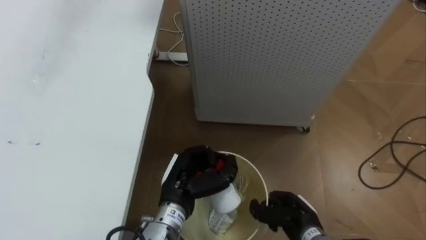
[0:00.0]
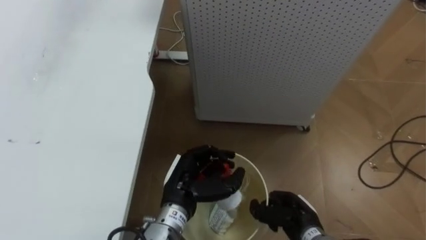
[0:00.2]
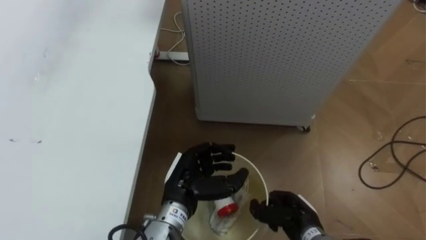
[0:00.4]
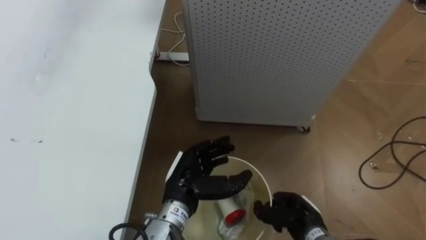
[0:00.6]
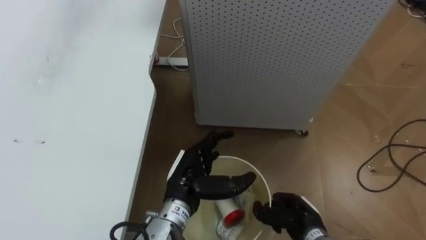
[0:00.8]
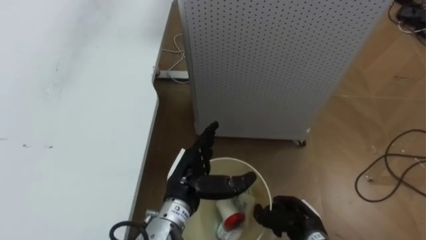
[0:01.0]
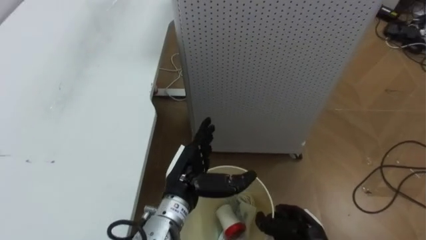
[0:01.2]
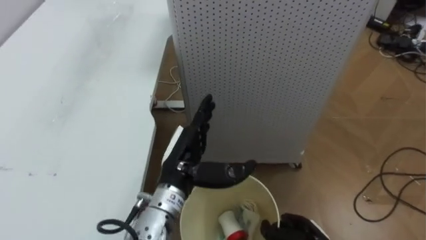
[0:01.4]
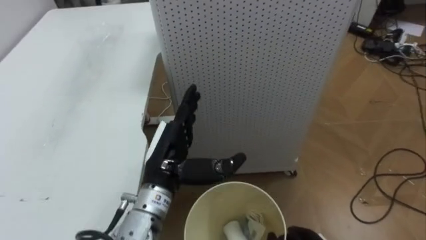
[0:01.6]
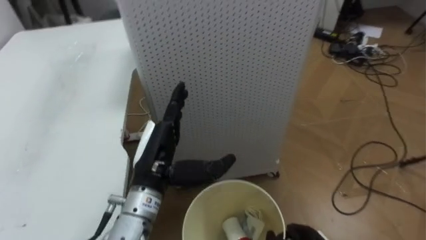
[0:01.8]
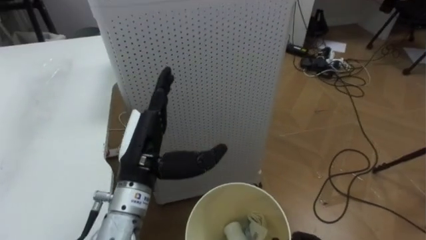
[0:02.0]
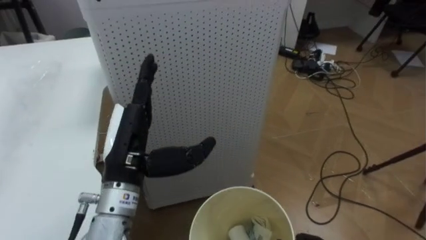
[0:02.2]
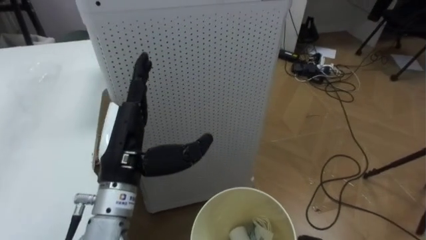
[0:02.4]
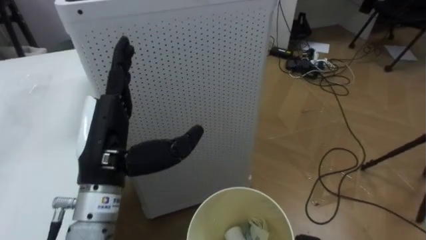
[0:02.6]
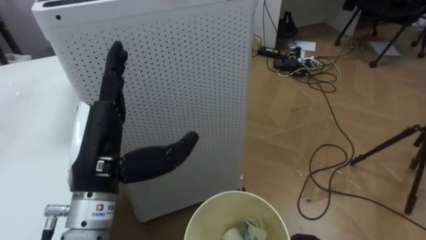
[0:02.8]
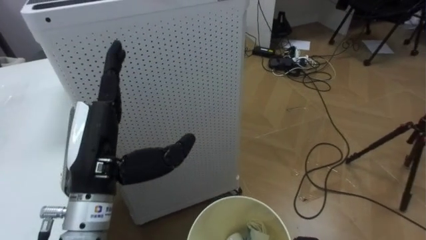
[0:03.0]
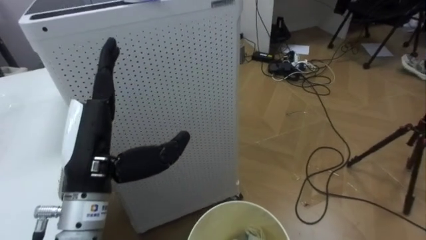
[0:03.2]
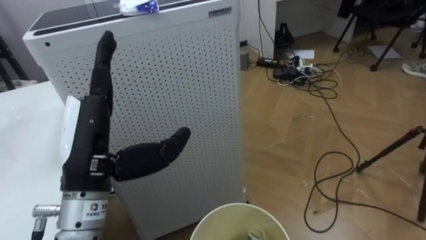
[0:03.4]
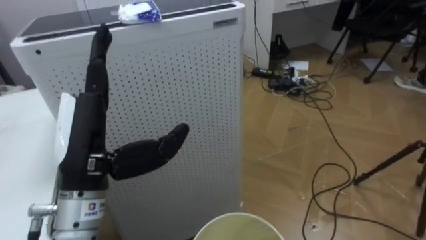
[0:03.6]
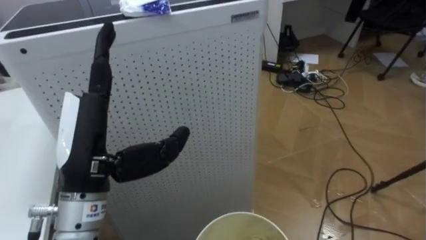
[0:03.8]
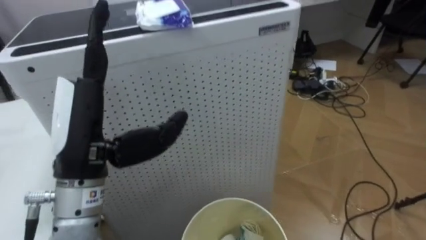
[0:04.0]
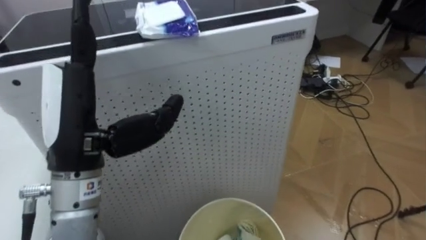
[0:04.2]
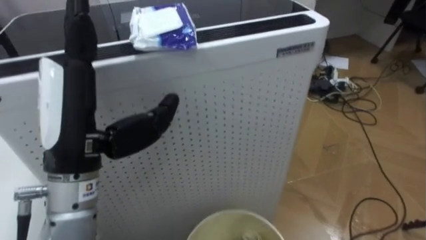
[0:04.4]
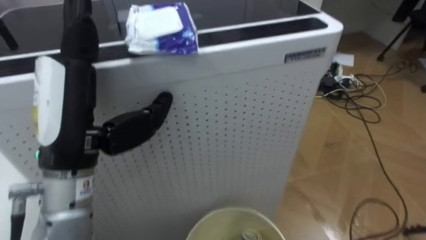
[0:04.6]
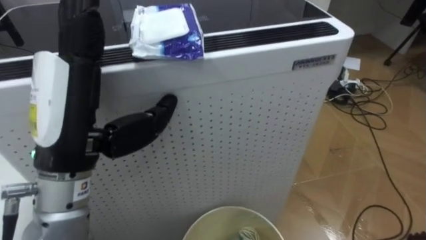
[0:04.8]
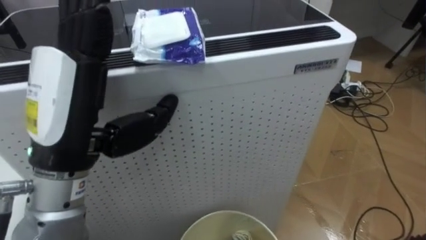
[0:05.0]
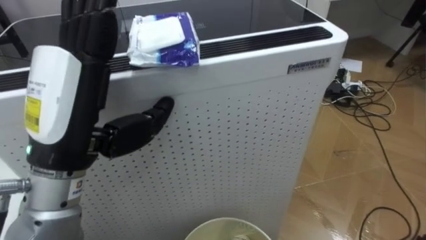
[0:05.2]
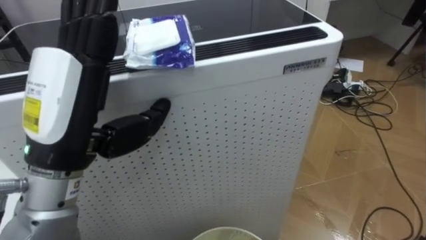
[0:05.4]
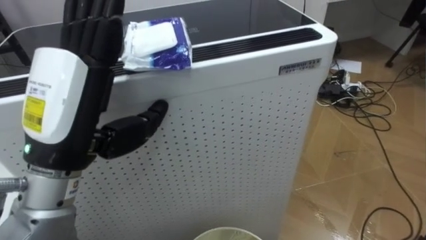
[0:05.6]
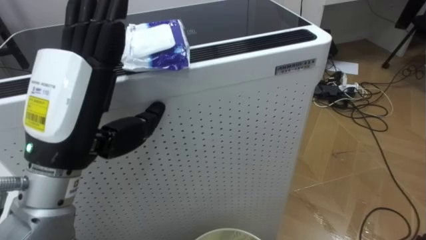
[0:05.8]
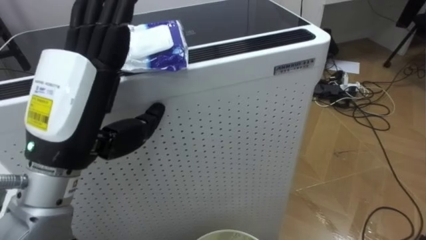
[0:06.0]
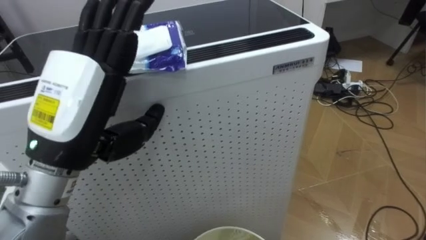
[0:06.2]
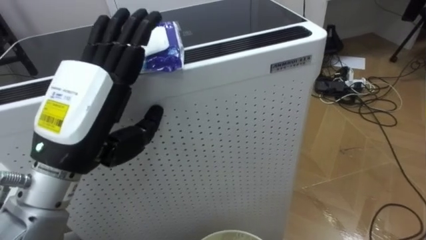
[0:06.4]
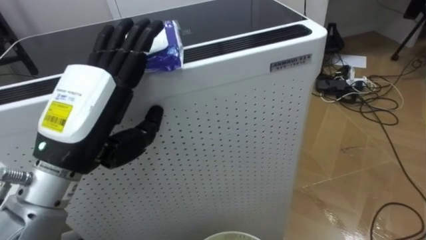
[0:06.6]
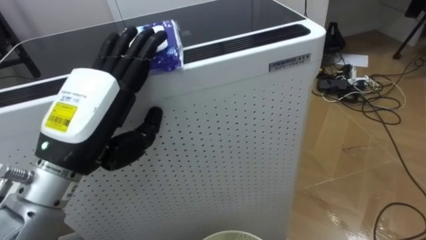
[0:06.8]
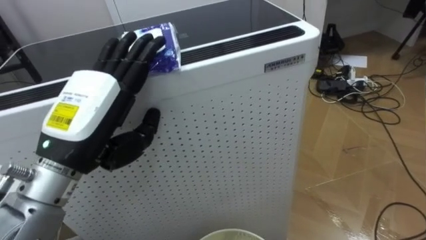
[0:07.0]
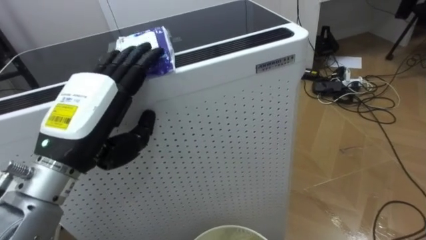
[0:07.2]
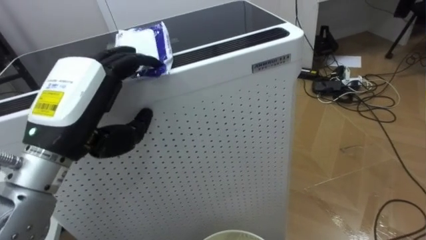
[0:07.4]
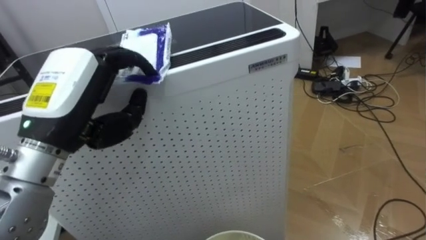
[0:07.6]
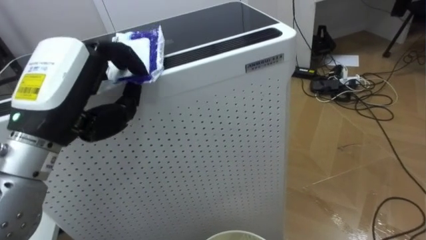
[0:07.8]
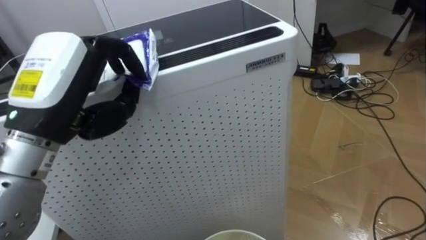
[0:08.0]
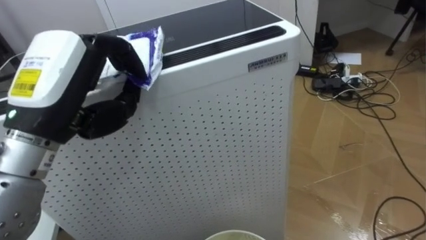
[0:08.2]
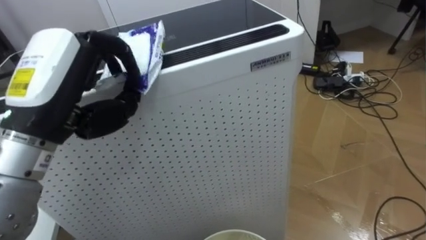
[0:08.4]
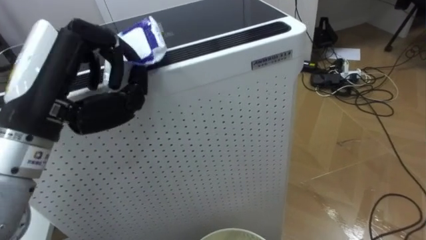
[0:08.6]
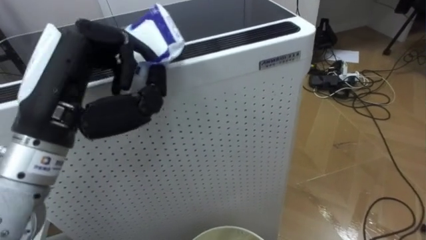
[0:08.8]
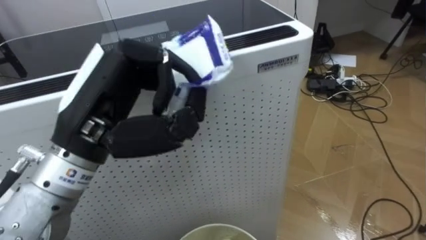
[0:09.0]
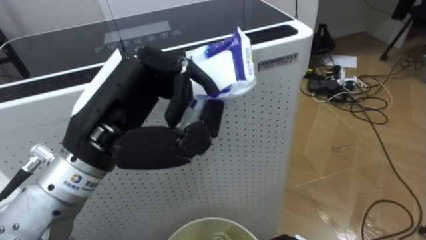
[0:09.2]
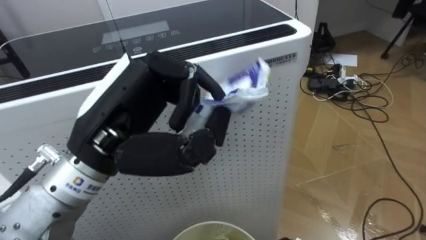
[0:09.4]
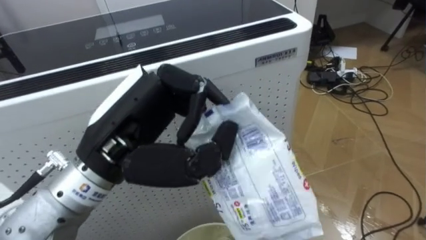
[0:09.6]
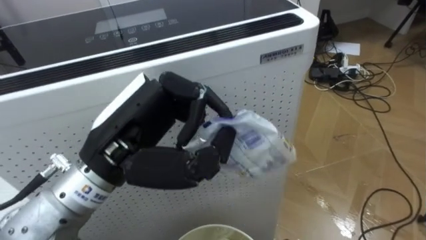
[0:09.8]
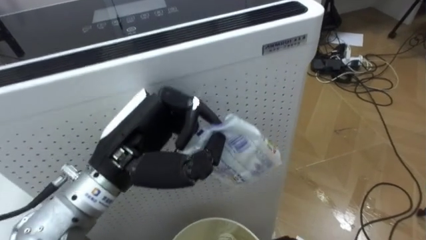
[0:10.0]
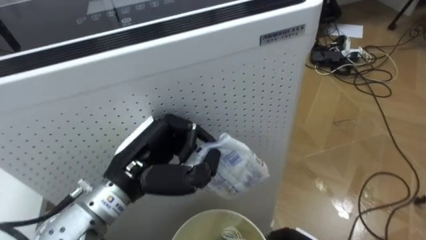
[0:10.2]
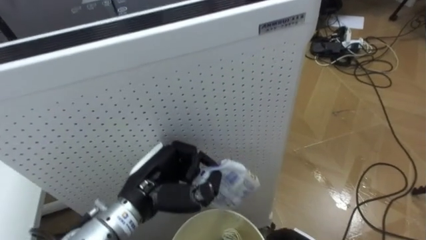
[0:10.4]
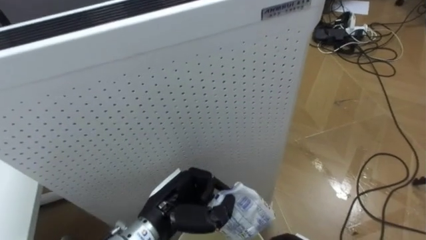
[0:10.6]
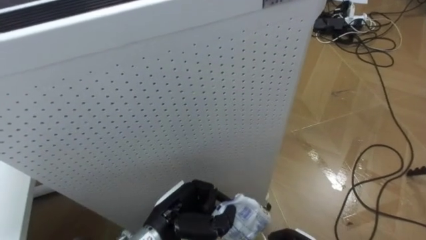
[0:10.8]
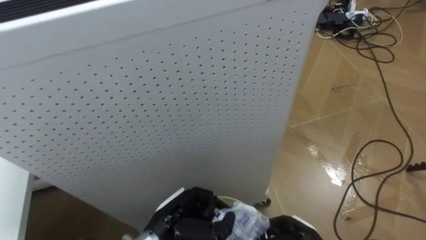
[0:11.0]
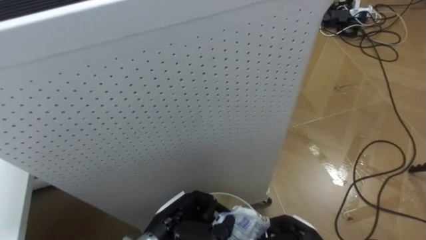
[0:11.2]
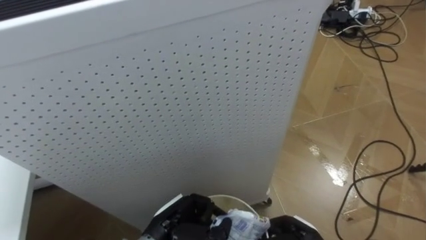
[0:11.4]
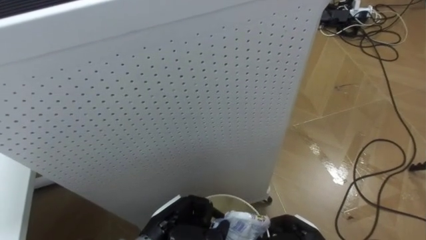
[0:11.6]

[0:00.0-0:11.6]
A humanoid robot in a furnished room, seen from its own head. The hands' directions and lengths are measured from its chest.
Task of the whole recording: Pick up the light blue package, the candy box, and the dark blue package separately, and put them into the trash can held in your right hand.
0:00.0 to 0:01.4: The left hand shifts about 5 cm upward, and opens up.
0:01.4 to 0:02.8: The robot's body swings about 25 degrees to its right. The left hand shifts approximately 15 cm to the left, upward and backward.
0:02.8 to 0:04.4: The left hand is displaced upward by some 5 cm.
0:05.8 to 0:07.2: The left hand shifts by some 5 cm.
0:07.2 to 0:08.8: The left hand heads upward, covering about 5 cm, and closes its fingers.
0:08.8 to 0:10.2: The left hand goes approximately 15 cm downward and to the right.
0:10.2 to 0:11.6: The left hand heads downward, covering approximately 20 cm.

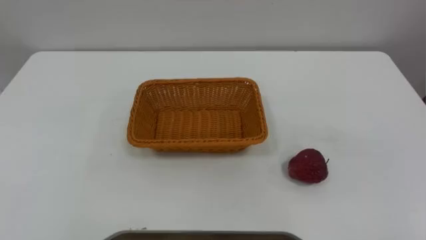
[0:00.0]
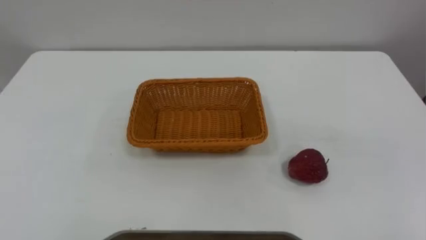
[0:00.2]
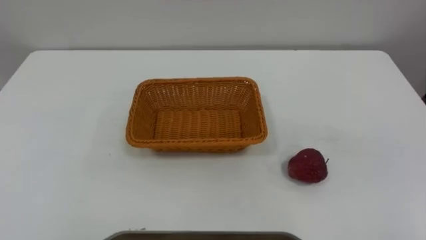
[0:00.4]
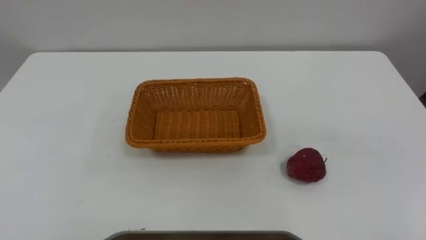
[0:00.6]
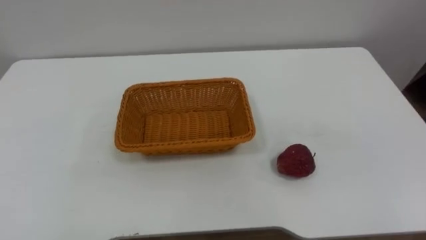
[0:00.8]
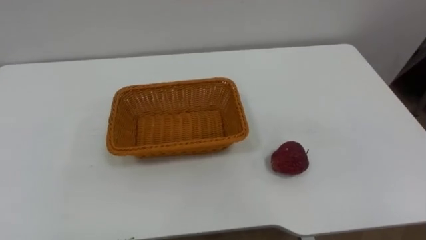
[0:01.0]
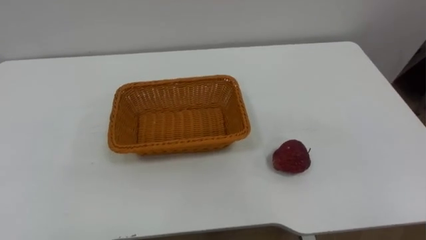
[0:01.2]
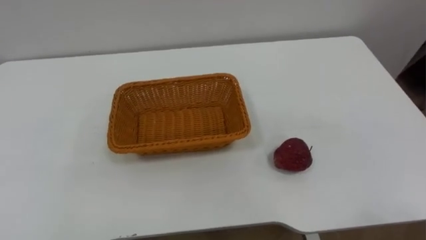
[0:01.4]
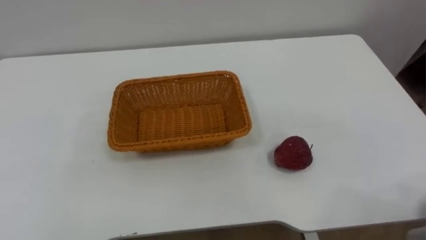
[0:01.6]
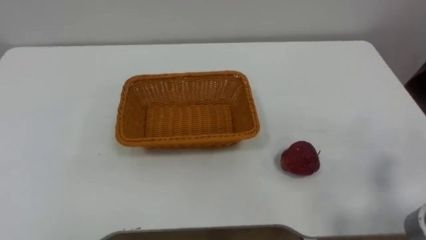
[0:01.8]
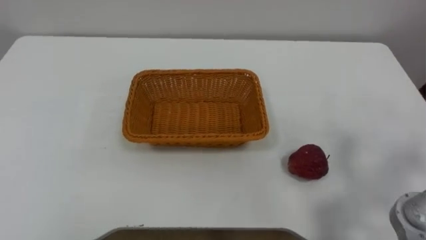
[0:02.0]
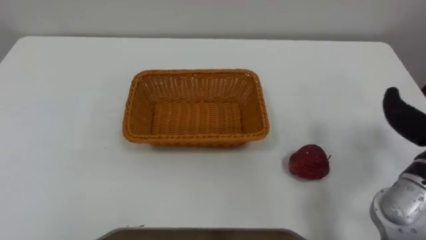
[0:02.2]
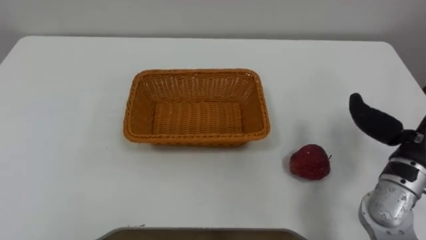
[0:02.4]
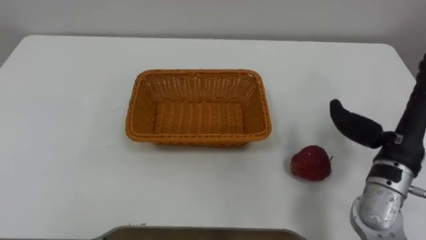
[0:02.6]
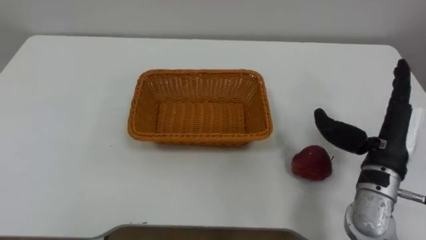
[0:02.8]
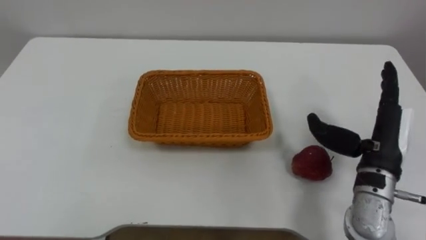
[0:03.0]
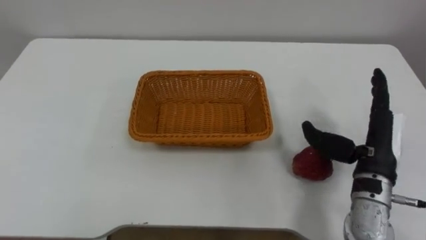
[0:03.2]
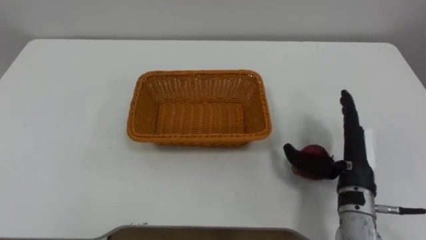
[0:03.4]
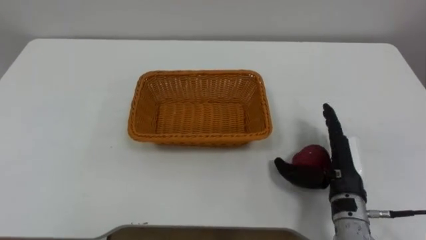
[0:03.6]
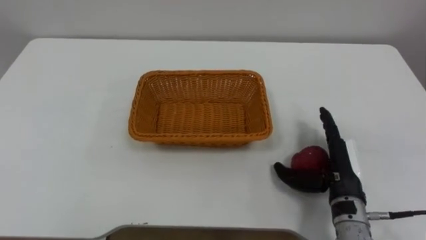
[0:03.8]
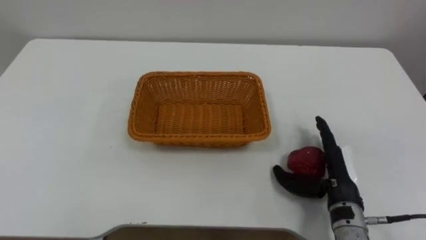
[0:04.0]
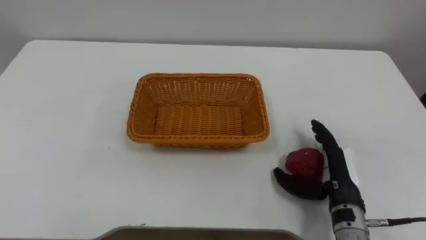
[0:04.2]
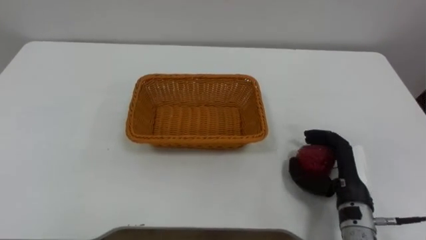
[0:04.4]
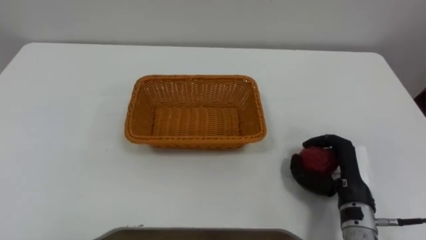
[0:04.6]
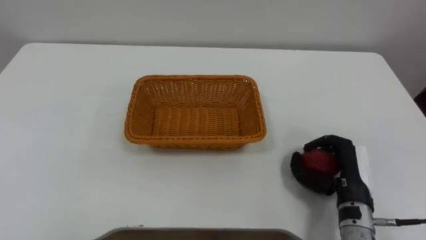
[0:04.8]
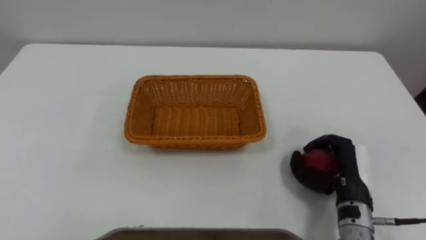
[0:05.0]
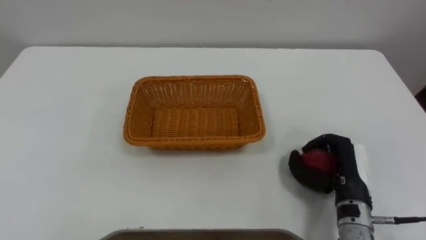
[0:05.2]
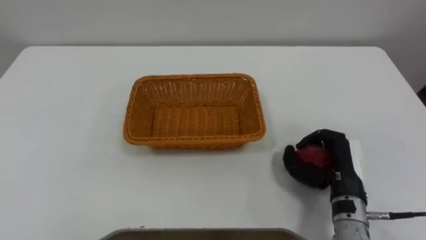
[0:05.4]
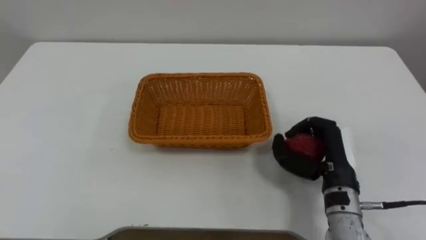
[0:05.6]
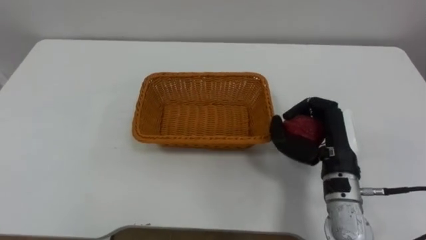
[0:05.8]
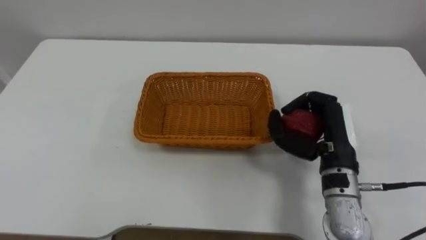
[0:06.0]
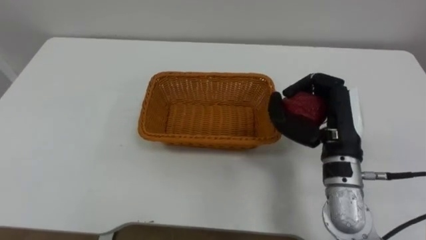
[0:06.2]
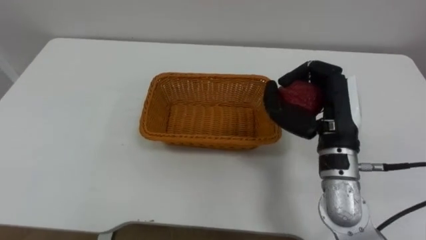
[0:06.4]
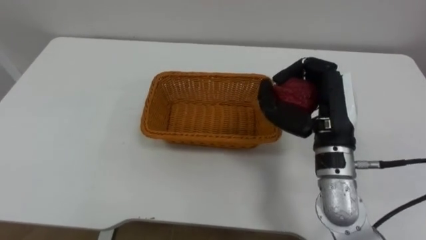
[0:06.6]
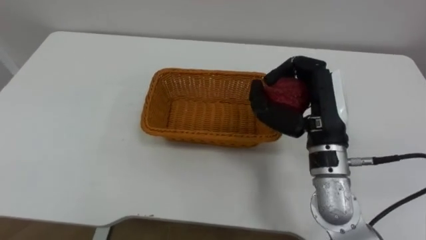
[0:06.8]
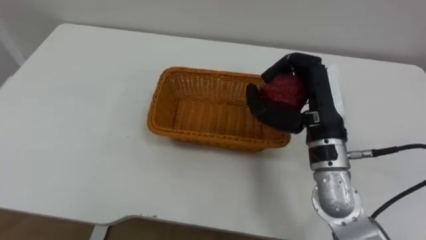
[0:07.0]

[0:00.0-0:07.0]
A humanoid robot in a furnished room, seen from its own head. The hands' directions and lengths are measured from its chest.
Task of the whole recording: Pick the apple and place it in the box.
0:02.8 to 0:04.2: The right hand heads downward and to the left, covering about 10 cm.
0:04.2 to 0:05.6: The right hand closes.
0:05.6 to 0:07.0: The right hand heads upward and to the left, covering some 10 cm.
